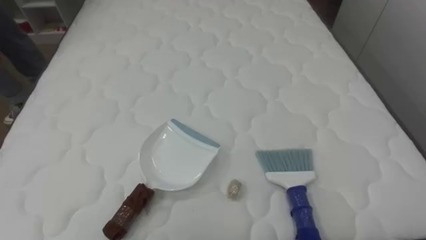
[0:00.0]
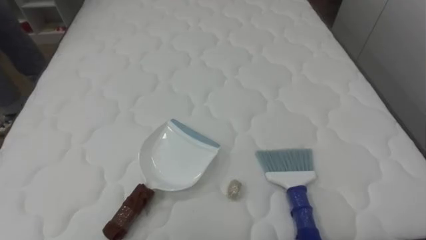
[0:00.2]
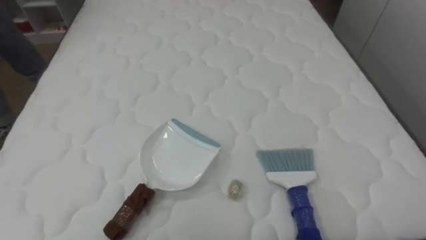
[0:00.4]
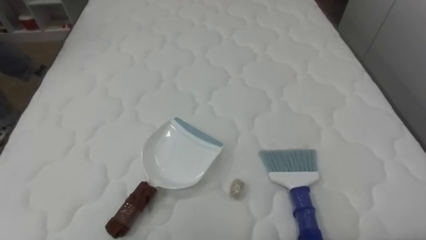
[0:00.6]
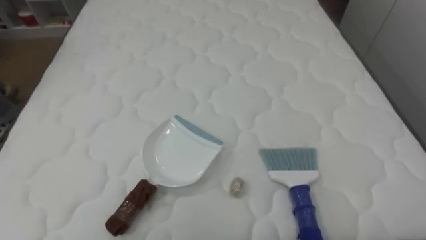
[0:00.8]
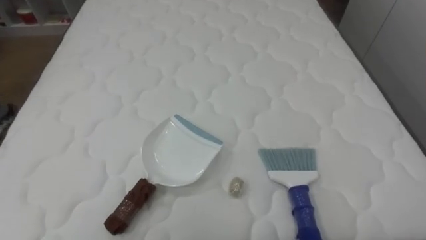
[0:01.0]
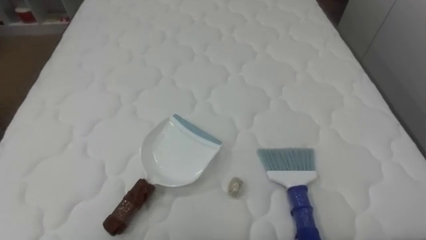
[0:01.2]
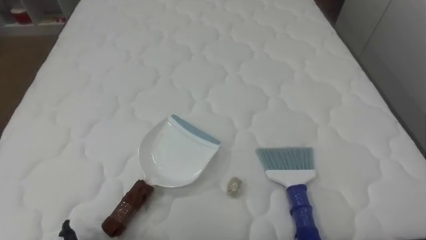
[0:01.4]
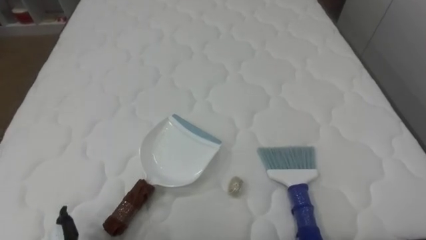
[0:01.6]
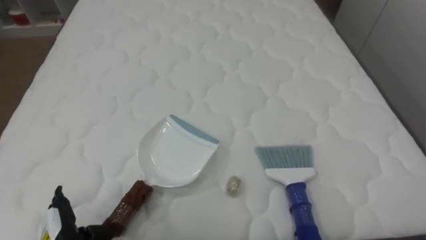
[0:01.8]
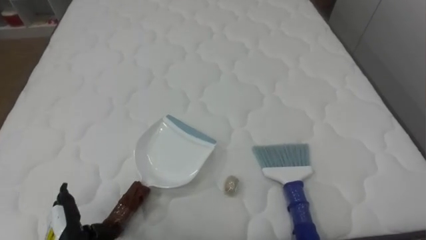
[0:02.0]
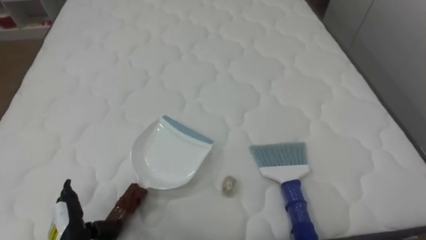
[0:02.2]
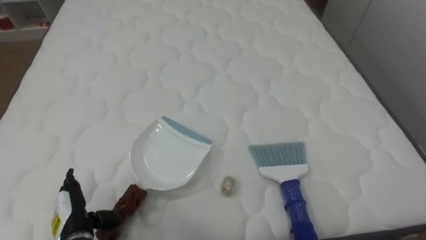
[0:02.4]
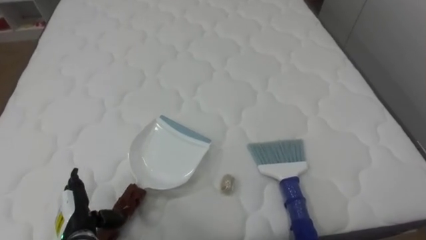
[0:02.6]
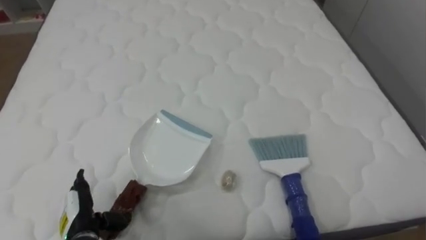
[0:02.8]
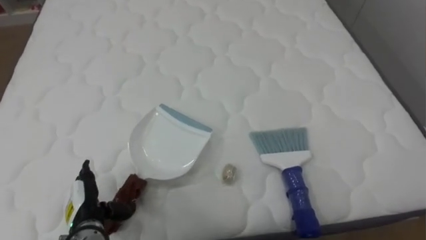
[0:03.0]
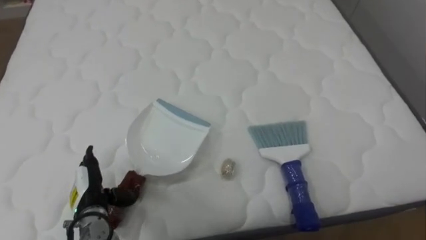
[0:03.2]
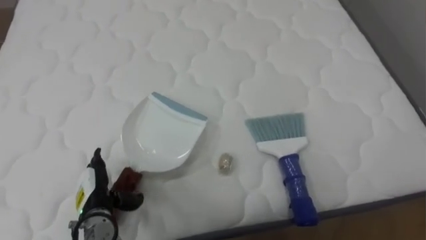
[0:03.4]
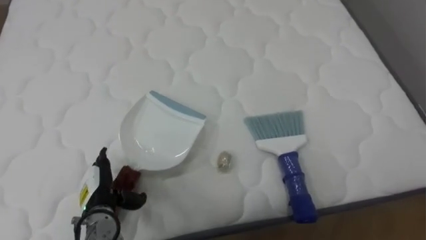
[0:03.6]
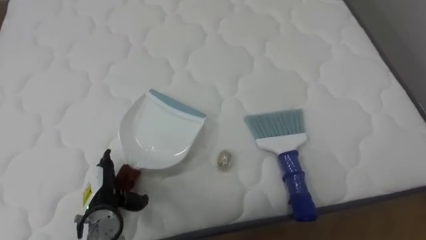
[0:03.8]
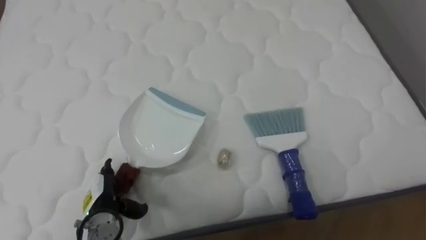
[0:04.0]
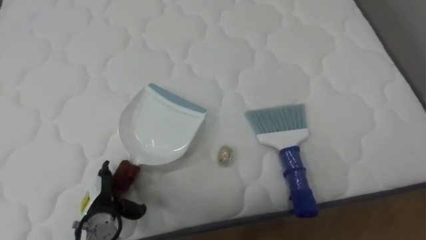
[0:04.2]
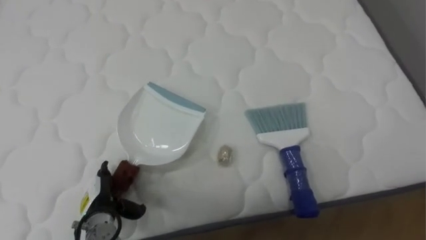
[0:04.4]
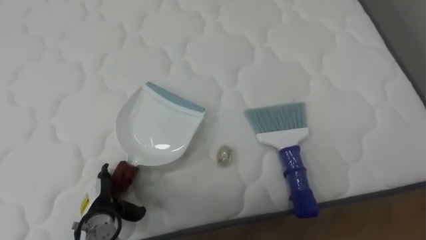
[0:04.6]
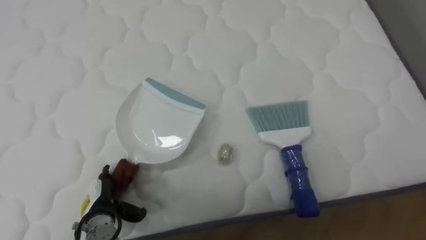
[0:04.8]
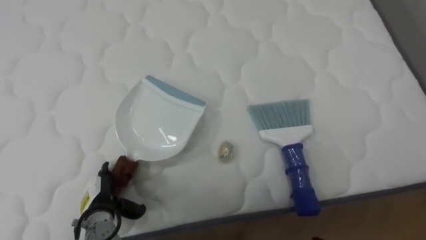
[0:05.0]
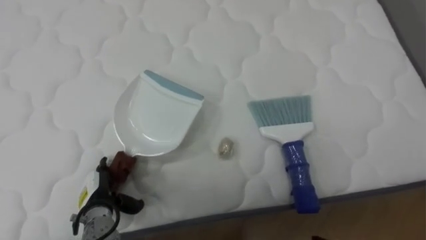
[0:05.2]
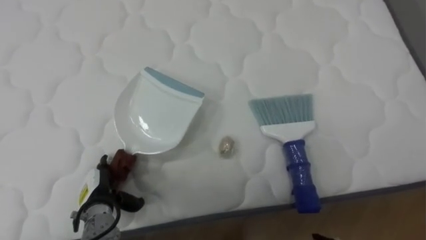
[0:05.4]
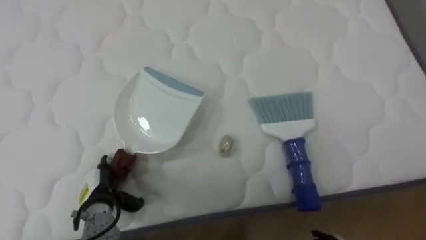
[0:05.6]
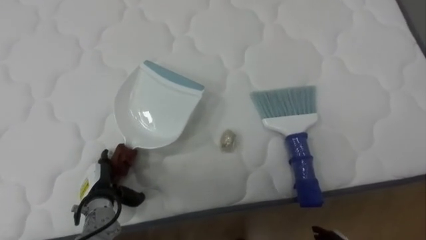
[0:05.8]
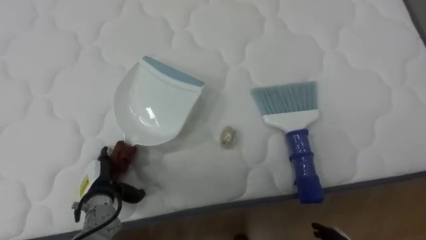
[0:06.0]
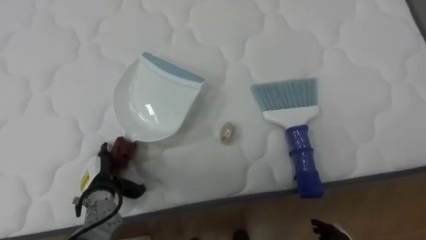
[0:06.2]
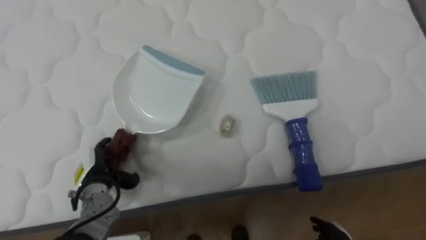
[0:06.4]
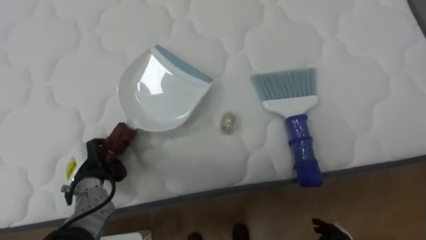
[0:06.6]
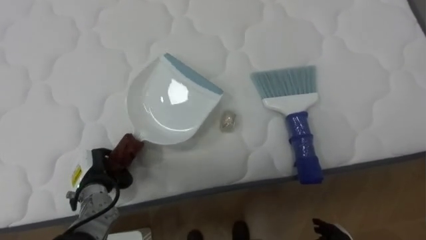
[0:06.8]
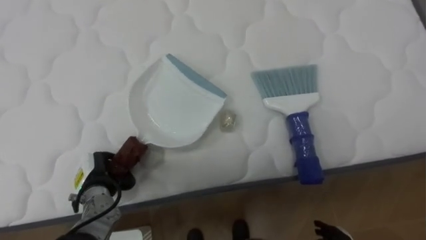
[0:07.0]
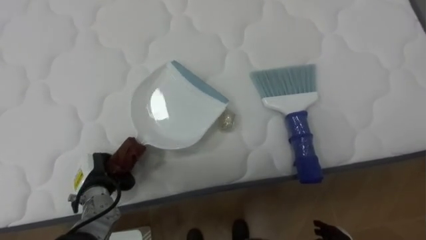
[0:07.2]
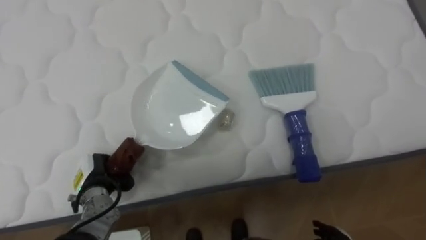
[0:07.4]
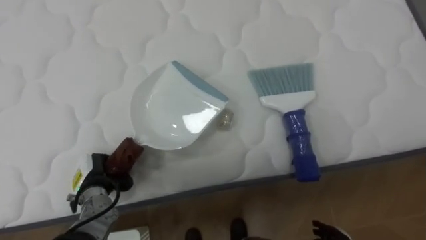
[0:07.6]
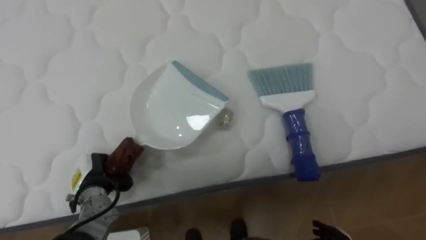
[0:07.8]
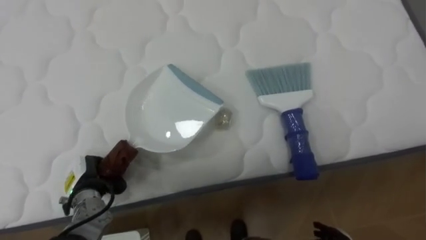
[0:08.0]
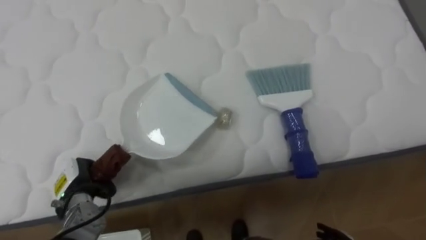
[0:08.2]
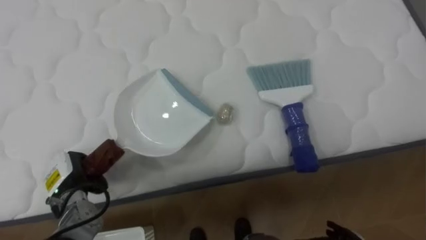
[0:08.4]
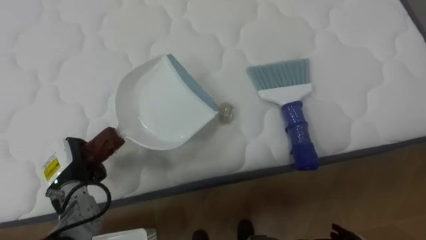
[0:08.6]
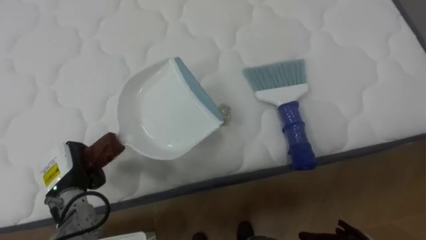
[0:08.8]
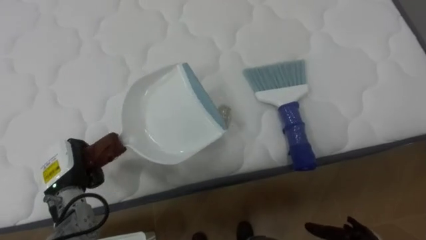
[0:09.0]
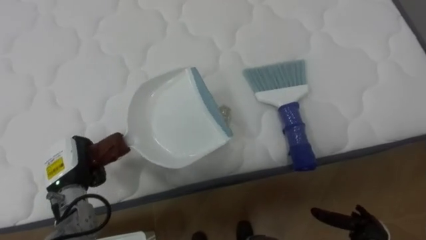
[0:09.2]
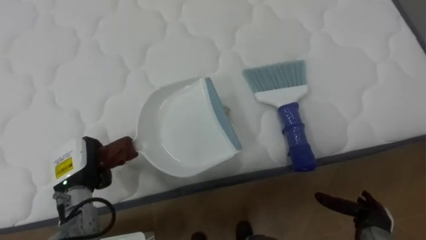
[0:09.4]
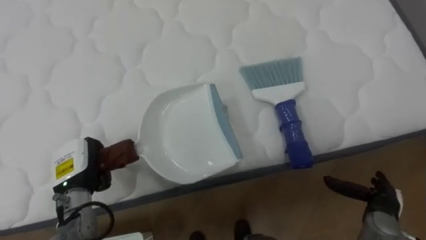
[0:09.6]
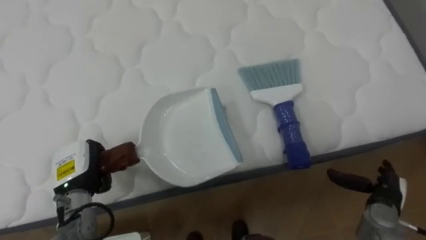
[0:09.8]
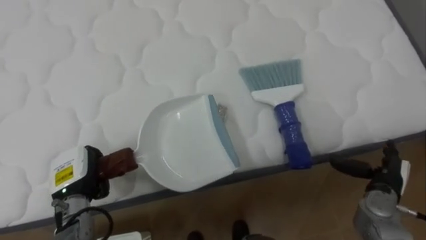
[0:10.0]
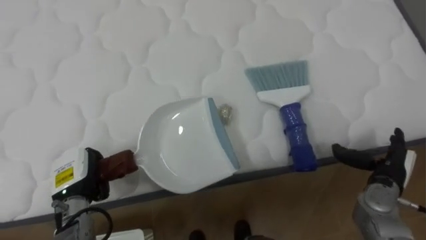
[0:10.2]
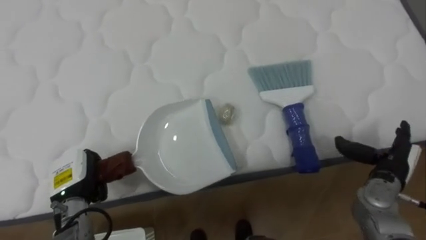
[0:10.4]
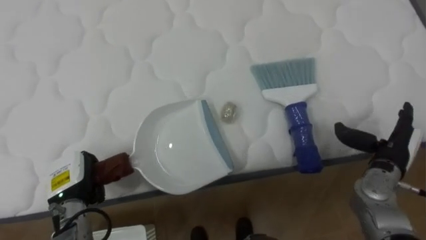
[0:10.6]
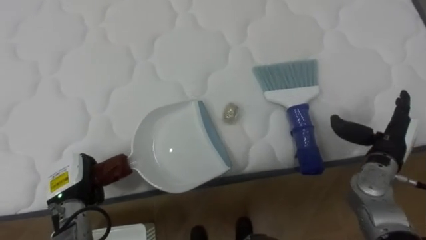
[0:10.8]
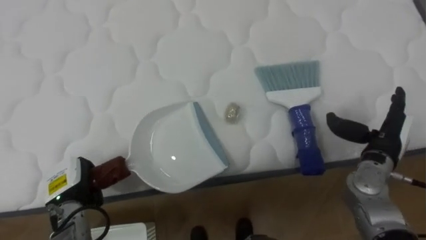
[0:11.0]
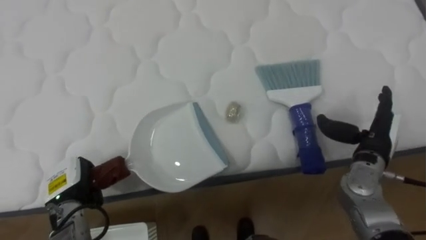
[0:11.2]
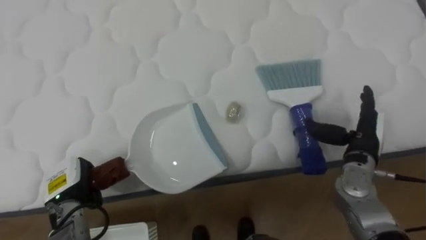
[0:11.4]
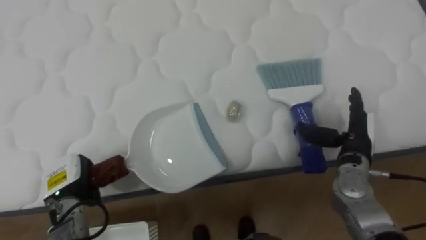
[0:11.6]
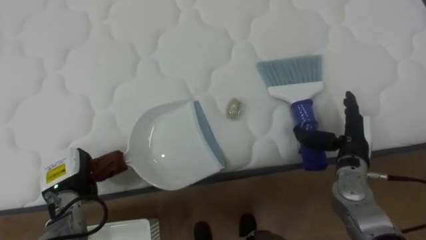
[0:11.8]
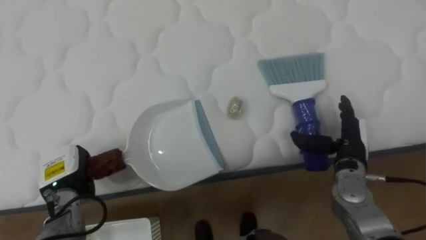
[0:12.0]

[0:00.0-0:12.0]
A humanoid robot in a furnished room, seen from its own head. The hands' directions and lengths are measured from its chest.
Task of the whole recording: Pick up the brush on your right and the dustpan on your left. Use the brush to sweep the crumpled paper on the bed into the dustpan, then turn left and empty it into the basket.
0:06.0 to 0:07.6: The left hand closes its fingers.
0:07.6 to 0:09.0: The left hand shifts by about 5 cm.
0:10.4 to 0:12.0: The right hand goes about 10 cm to the left.

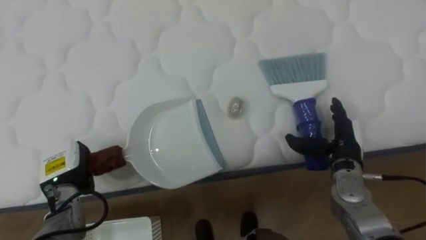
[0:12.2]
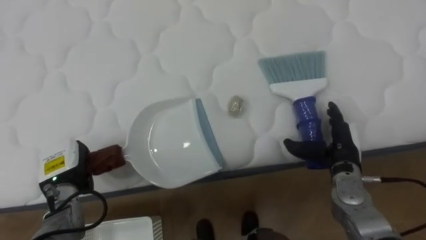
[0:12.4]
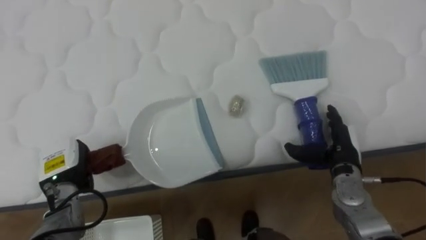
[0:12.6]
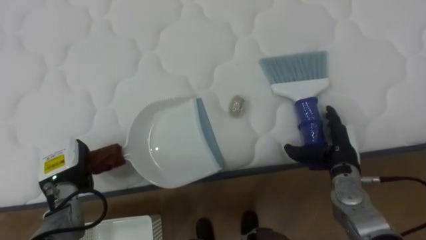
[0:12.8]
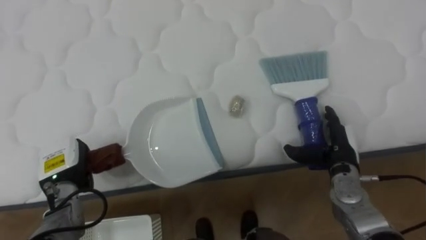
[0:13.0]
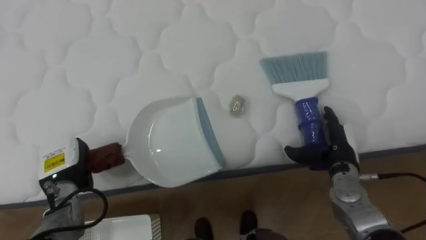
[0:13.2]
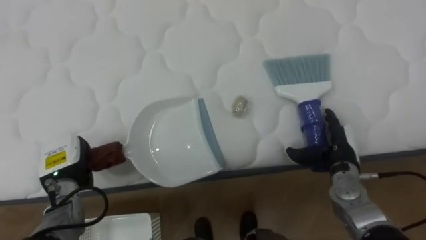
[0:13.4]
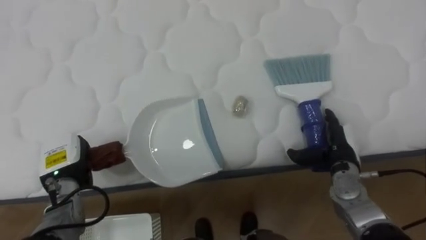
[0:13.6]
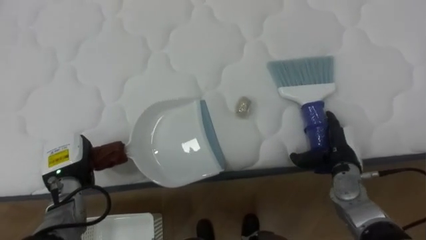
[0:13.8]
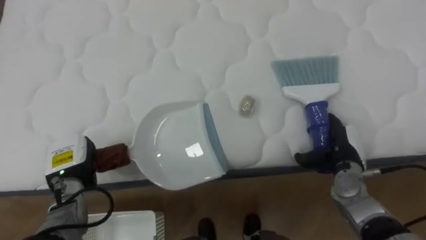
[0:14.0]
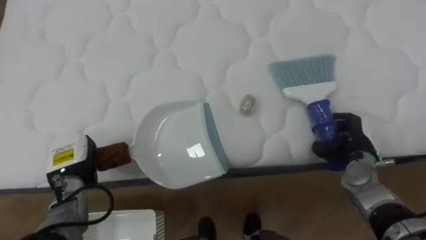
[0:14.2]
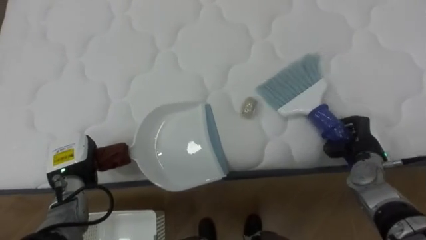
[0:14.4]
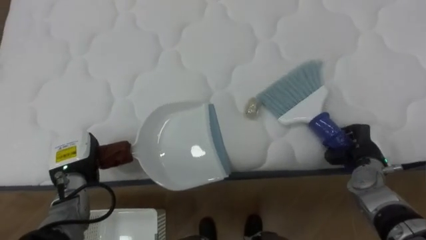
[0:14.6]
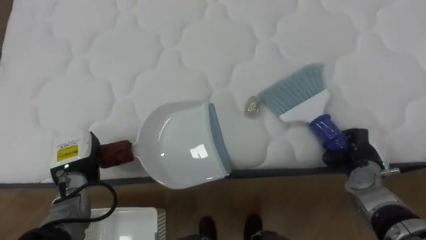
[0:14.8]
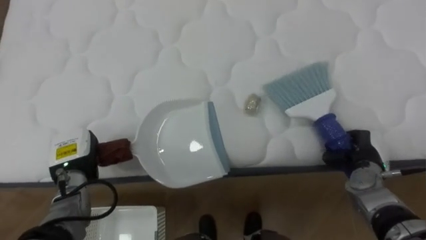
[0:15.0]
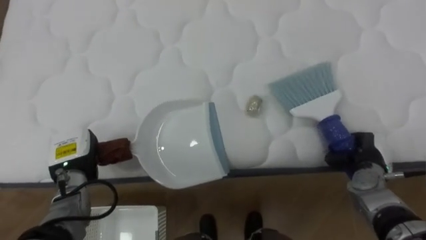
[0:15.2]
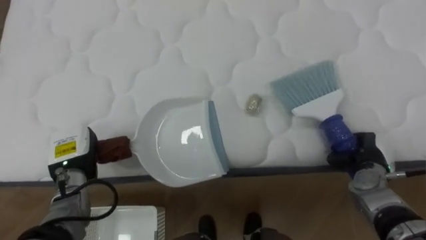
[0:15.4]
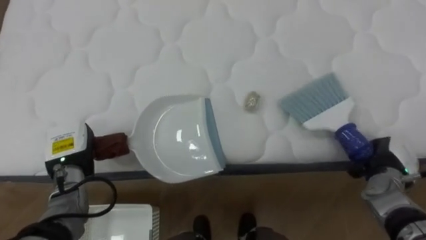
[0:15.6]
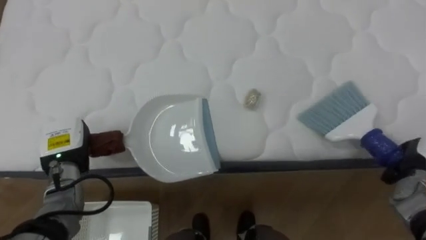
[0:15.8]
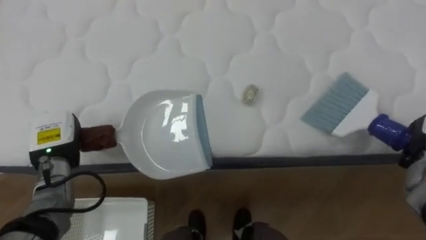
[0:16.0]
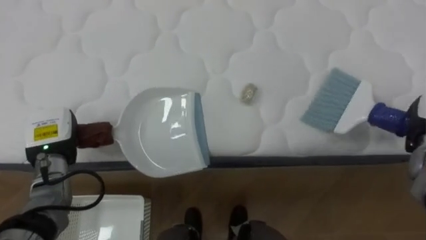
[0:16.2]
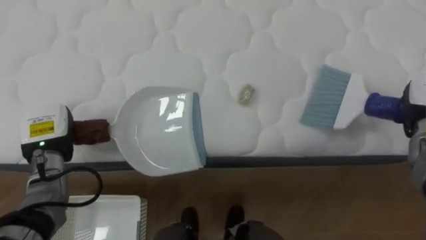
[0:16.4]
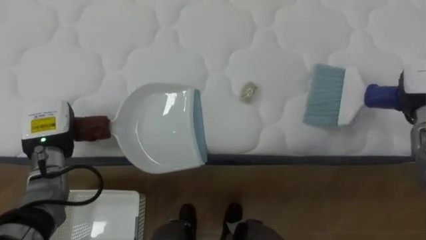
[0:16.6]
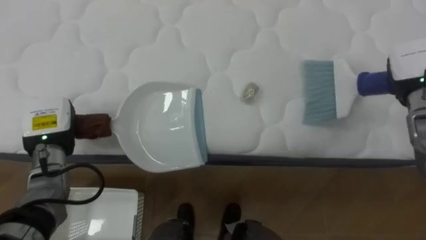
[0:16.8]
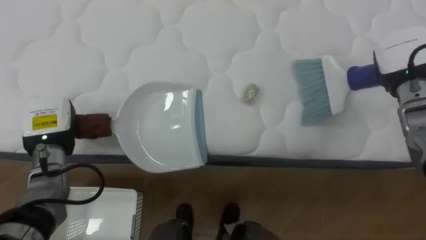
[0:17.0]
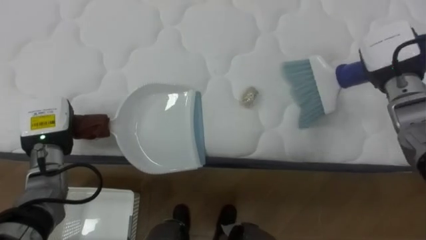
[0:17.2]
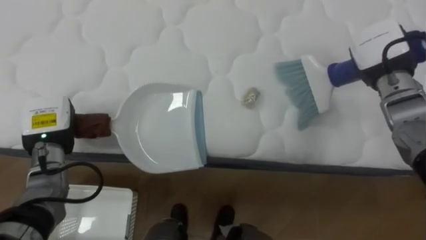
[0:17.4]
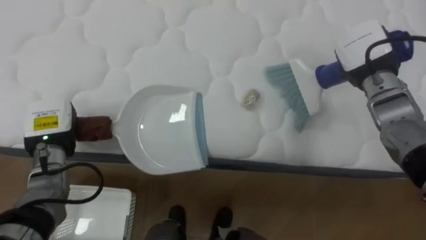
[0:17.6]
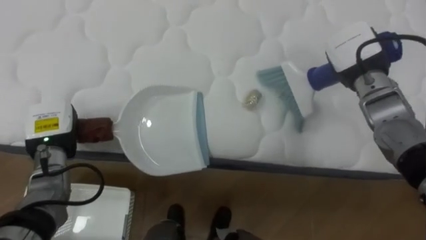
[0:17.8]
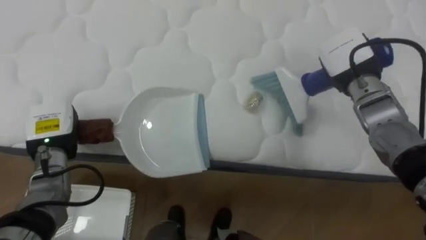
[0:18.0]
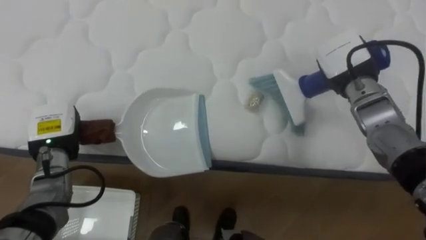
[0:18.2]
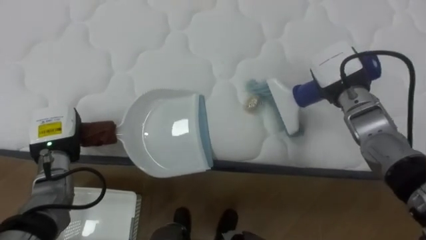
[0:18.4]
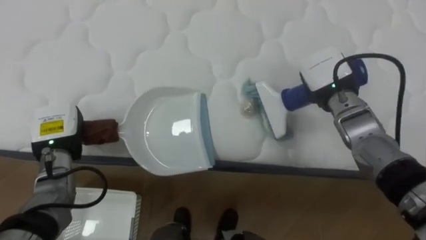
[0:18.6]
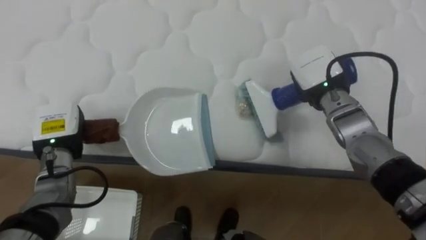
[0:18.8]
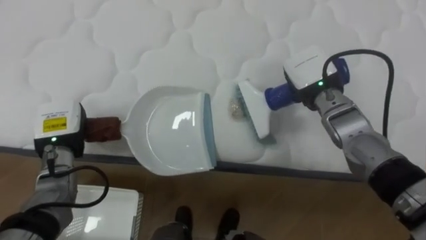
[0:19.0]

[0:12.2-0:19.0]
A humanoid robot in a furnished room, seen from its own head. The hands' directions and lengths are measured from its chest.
Task of the whole recording: Pick up the brush on your right and the dustpan on your left. Use the brush to sweep the crumpled paper on the bed into the dustpan, then turn left and empty it into the basket.
0:13.6 to 0:15.0: The right hand goes roughly 5 cm to the right, and closes up.
0:15.0 to 0:16.2: The left hand ends up some 5 cm from where it was.
0:16.2 to 0:17.6: The right hand goes about 20 cm to the left, upward and forward.
0:17.6 to 0:19.0: The right hand is displaced to the left by roughly 10 cm.